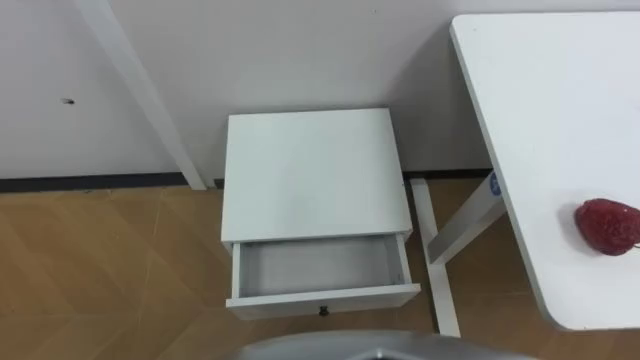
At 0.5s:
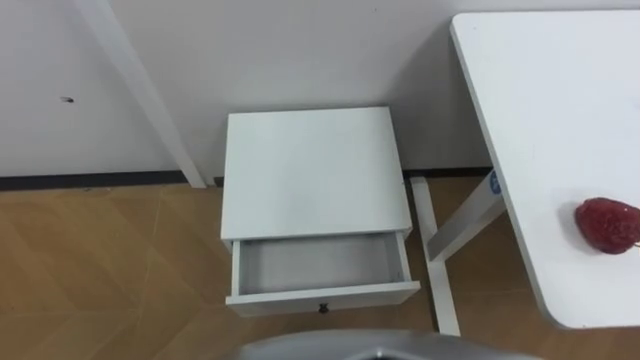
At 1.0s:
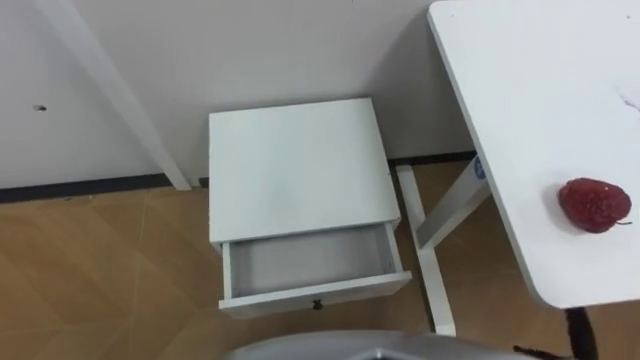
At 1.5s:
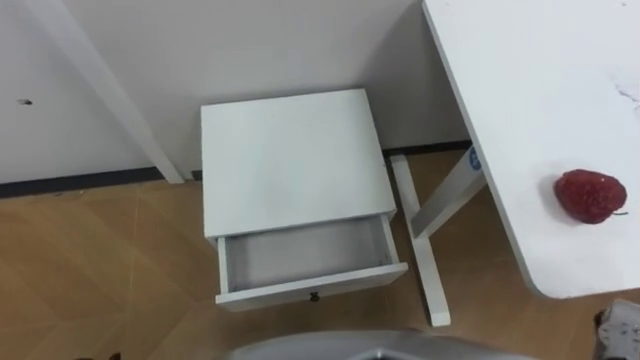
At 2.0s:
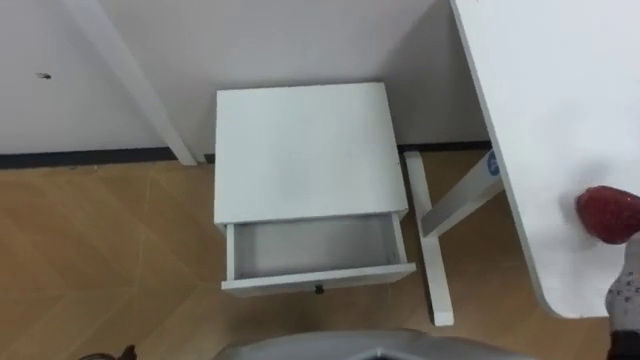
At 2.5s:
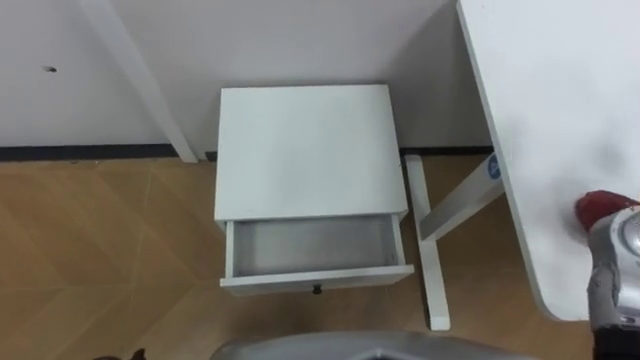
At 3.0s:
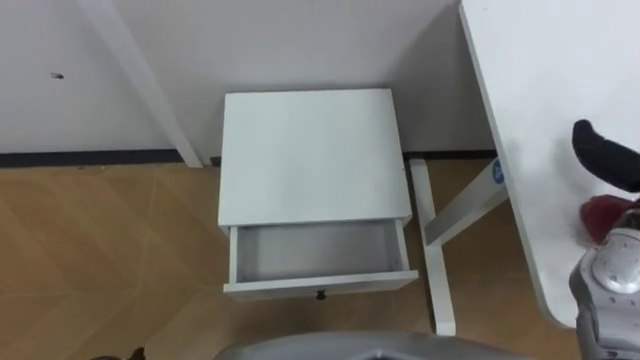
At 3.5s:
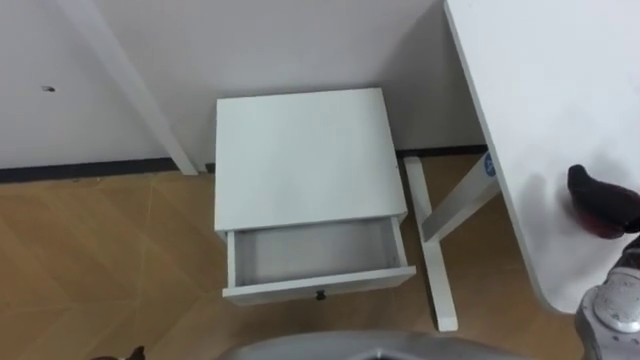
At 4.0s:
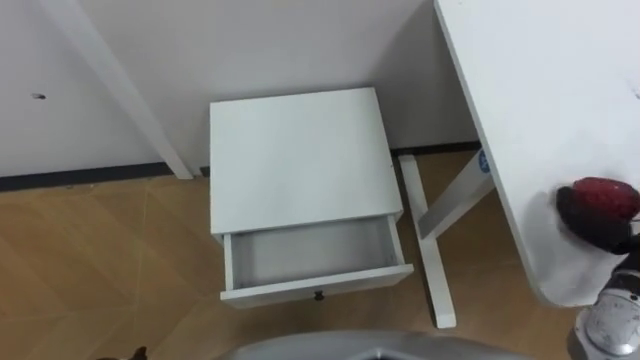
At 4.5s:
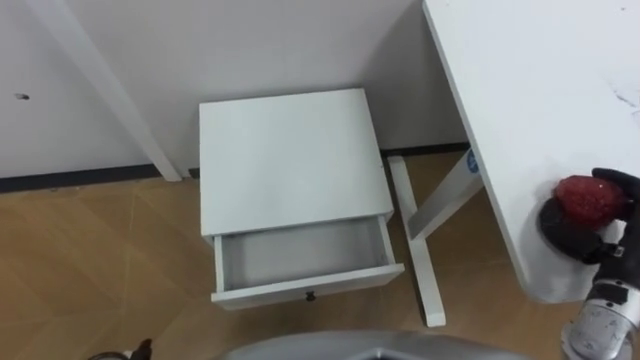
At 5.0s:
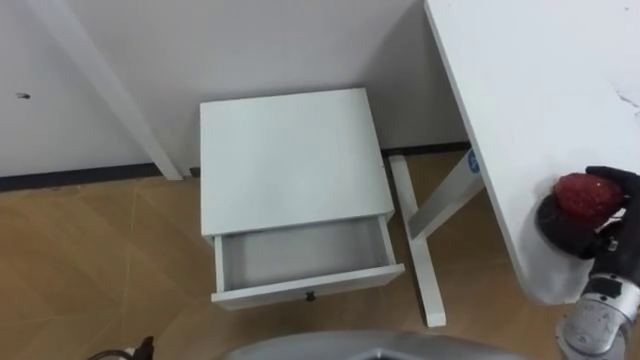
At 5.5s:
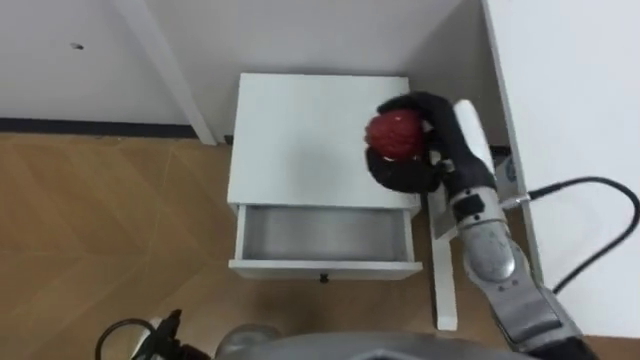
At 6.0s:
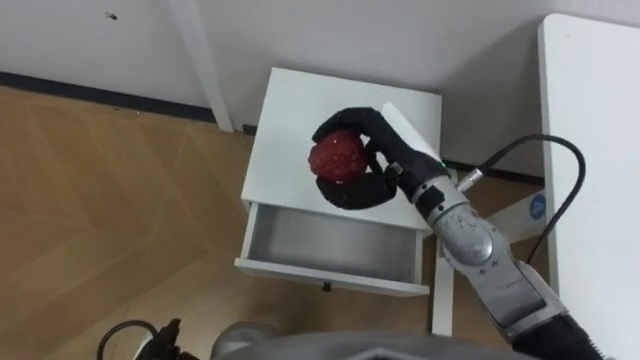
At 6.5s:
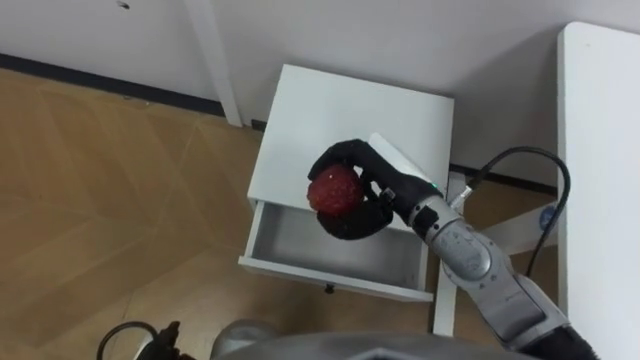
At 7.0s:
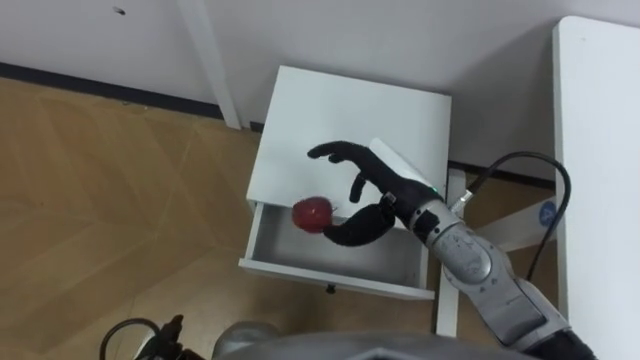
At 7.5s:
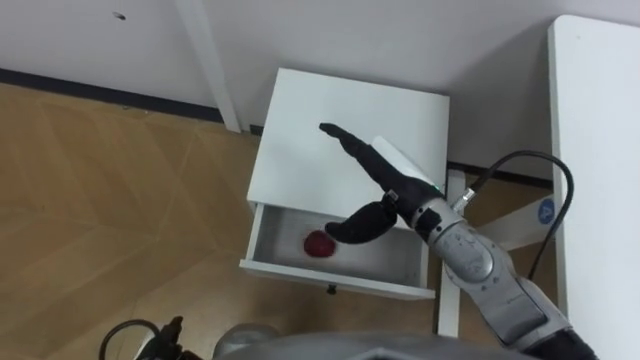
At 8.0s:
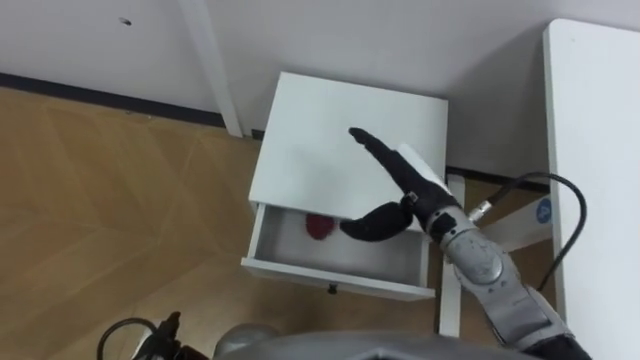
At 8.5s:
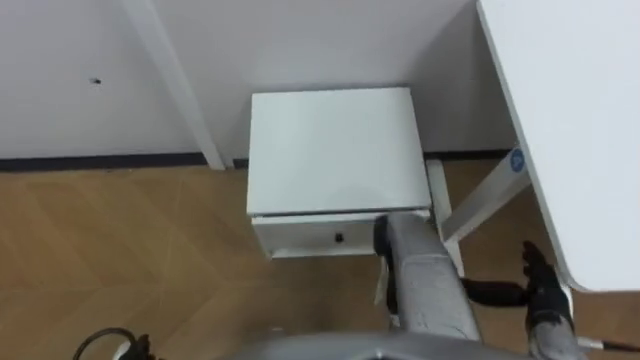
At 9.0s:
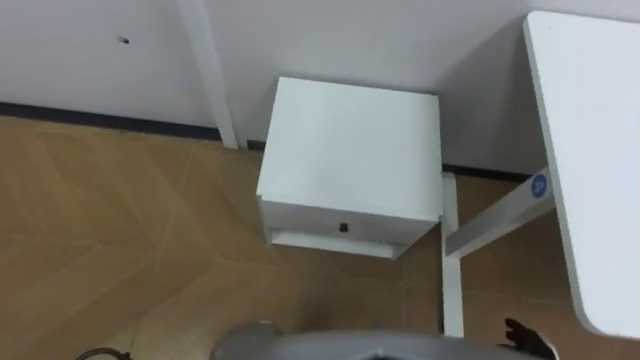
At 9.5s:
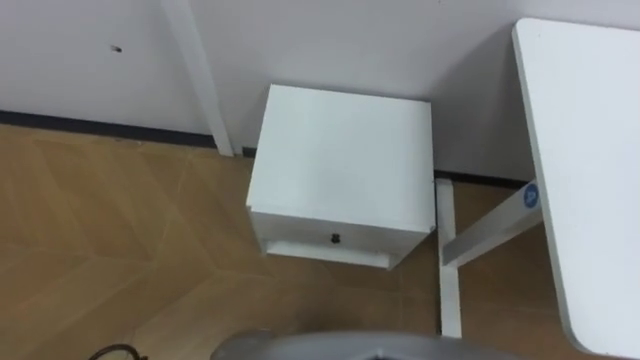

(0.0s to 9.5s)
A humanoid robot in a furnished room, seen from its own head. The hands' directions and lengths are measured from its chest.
Task of the whole recording: Pick up the apple from the table, put it in the drawer, and close the drawer with leg.
5.5s - 7.5s: The right hand goes approximately 10 cm to the left, and opens its fingers.

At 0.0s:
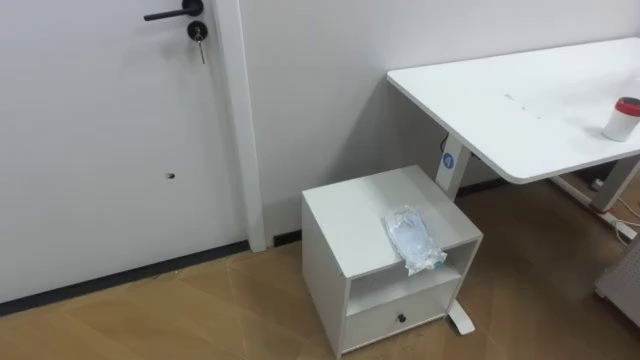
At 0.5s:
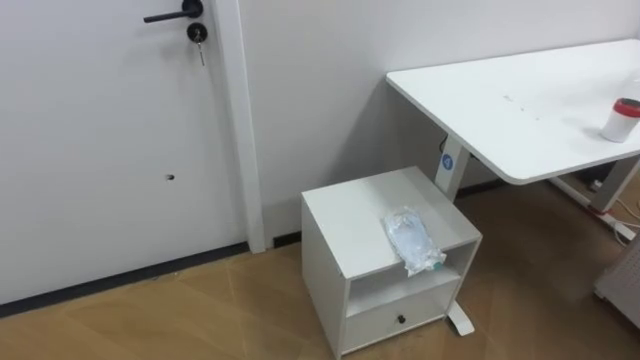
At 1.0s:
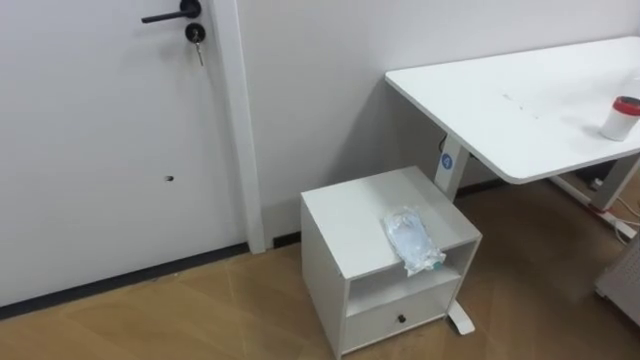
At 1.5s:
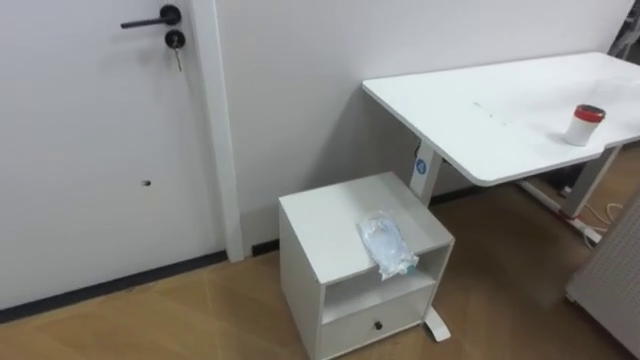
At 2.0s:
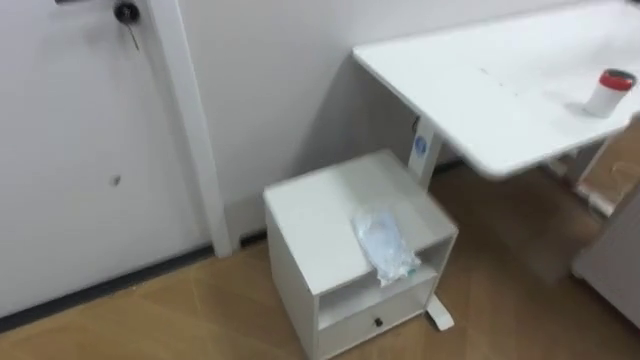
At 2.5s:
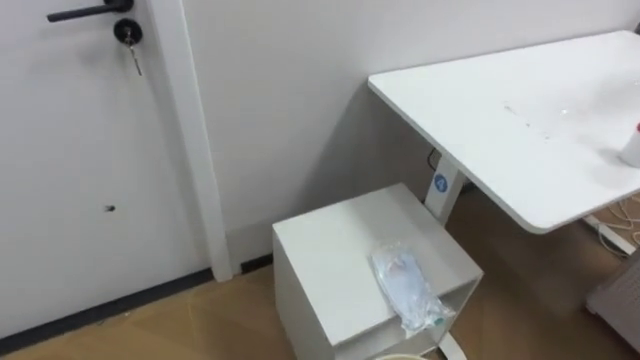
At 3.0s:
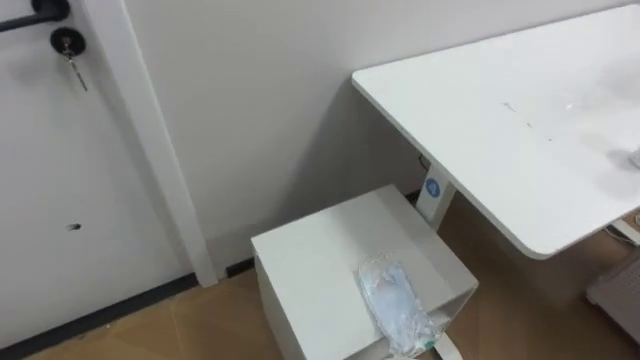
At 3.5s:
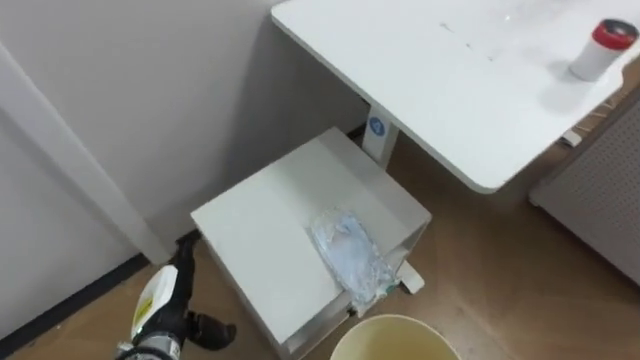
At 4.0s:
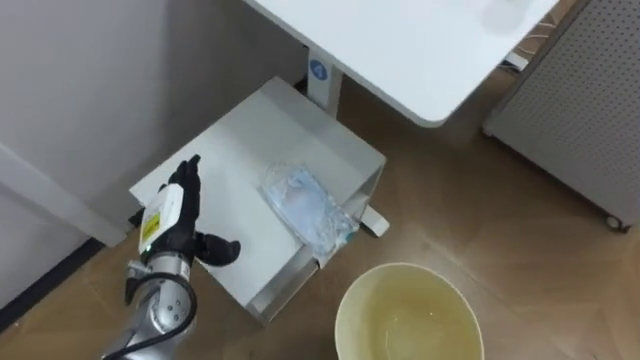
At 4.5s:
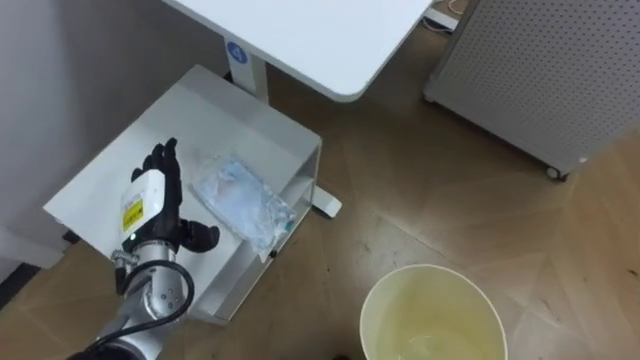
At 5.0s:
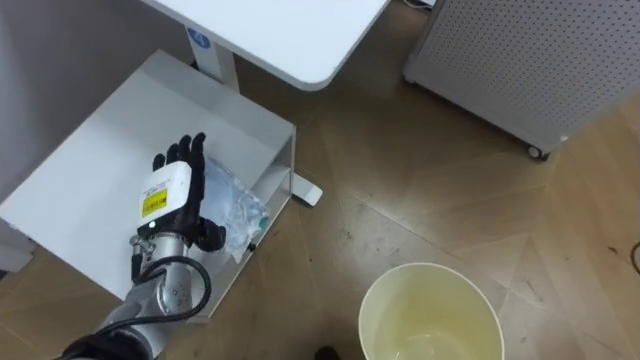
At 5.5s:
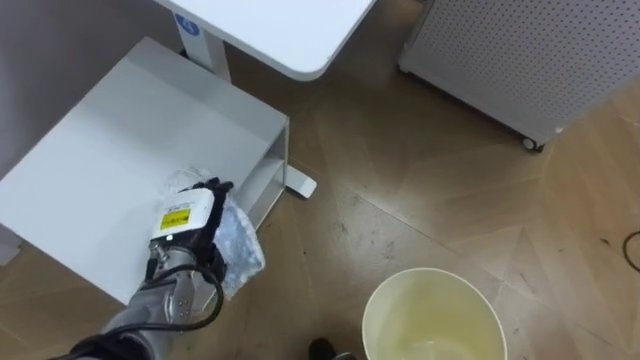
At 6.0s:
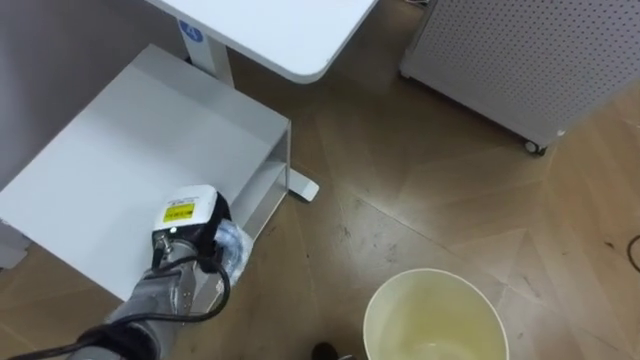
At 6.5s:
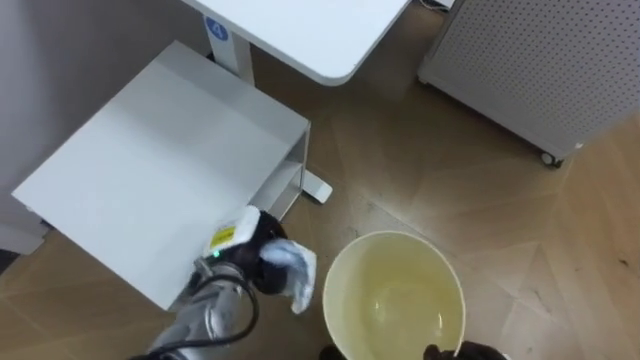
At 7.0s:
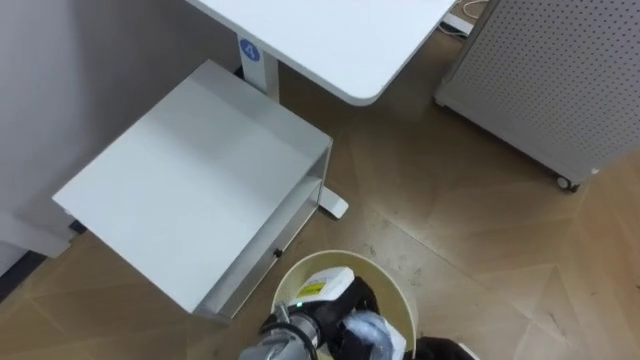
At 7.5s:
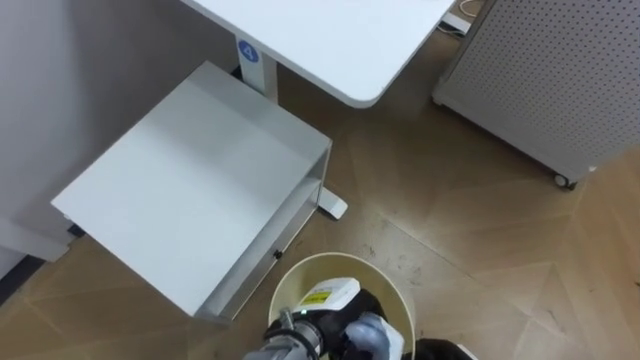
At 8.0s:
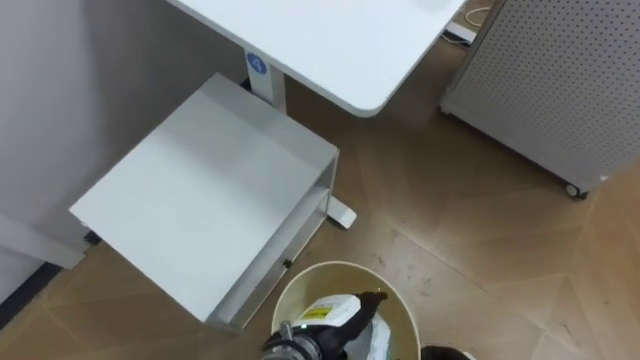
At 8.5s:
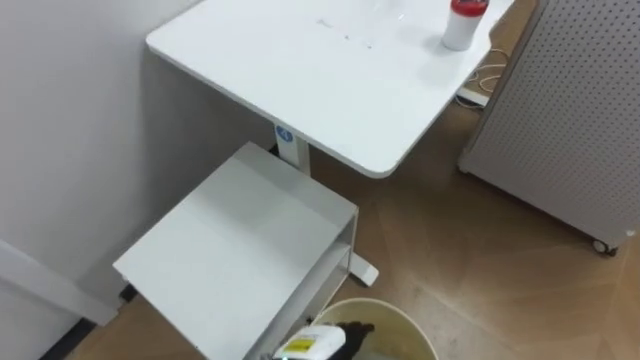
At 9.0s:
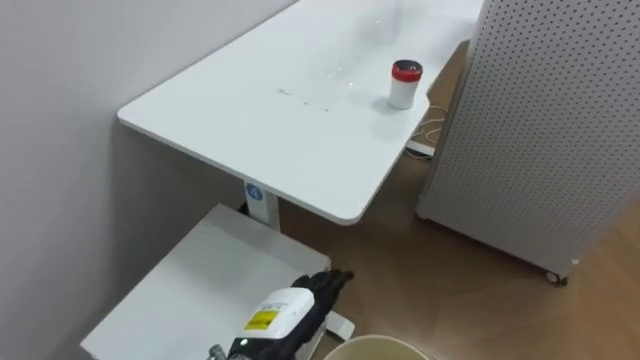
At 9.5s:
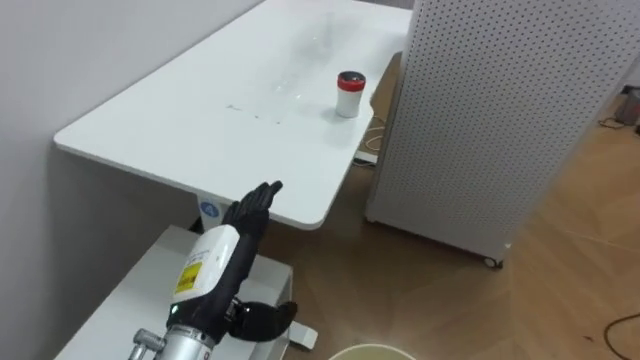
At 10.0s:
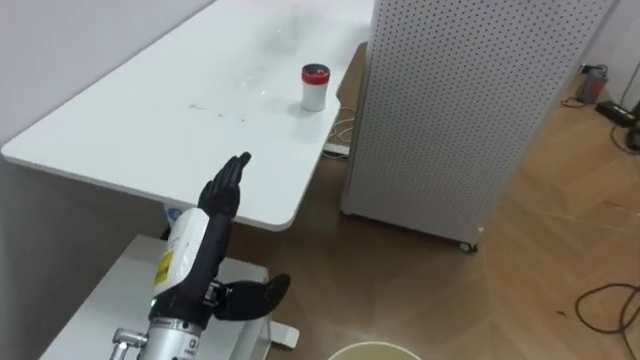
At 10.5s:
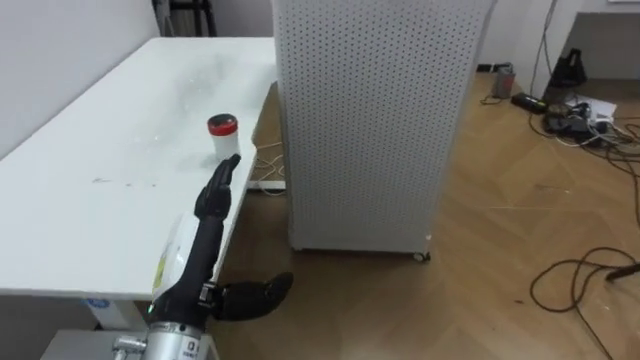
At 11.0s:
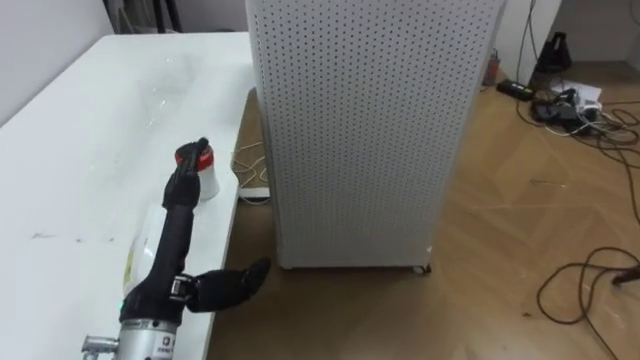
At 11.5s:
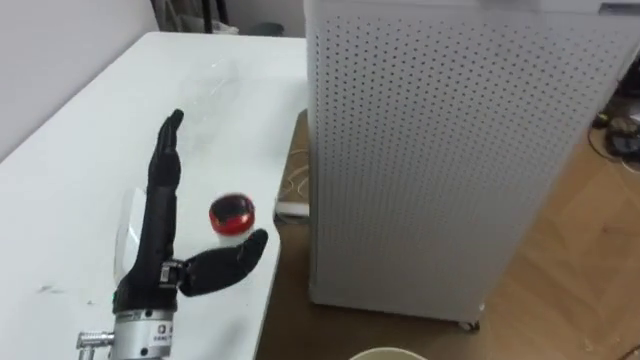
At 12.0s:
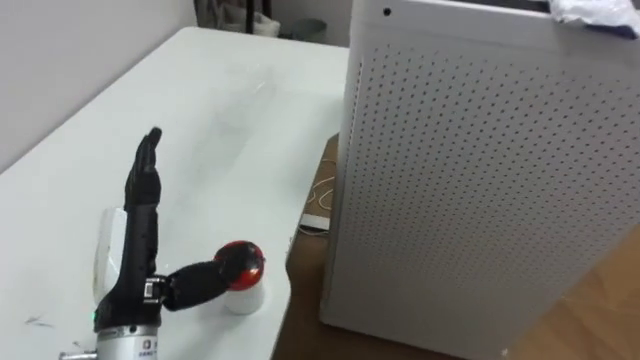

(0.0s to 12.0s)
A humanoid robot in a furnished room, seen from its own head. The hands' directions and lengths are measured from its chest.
Task of the whole recording: Pick up the light blue package, the candy box, and the dark blue package separately, and put them into the trash can held in your right hand.
4.0s - 6.0s: The left hand closes.
6.0s - 8.0s: The left hand moves to the right, backward and downward, approximately 25 cm, and opens its fingers.
8.0s - 10.0s: The left hand travels to the left and upward by approximately 20 cm.
10.0s - 12.0s: The left hand goes approximately 5 cm to the left.
